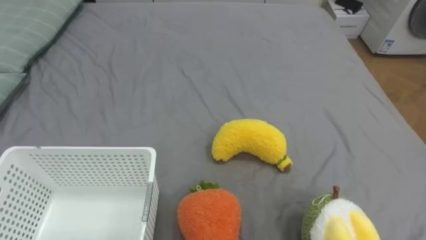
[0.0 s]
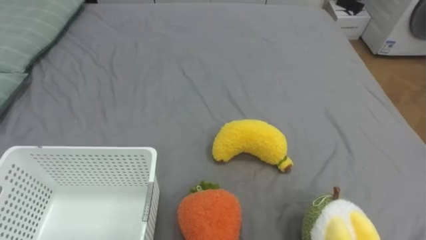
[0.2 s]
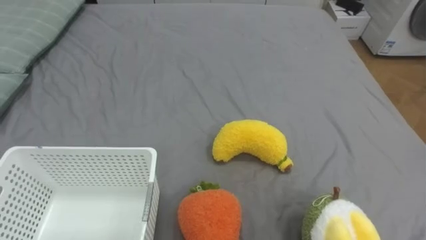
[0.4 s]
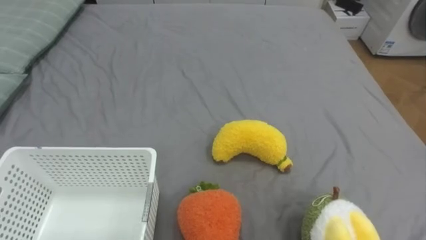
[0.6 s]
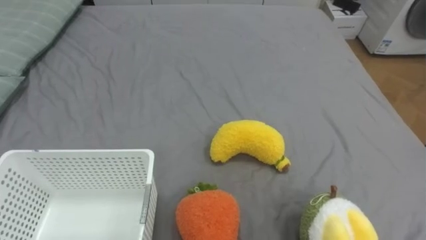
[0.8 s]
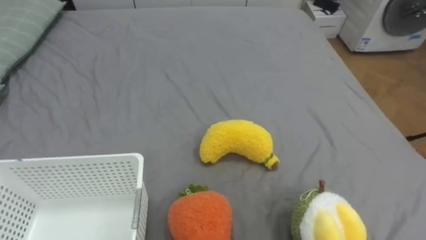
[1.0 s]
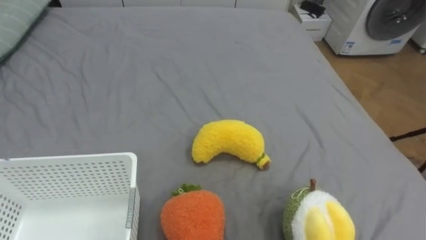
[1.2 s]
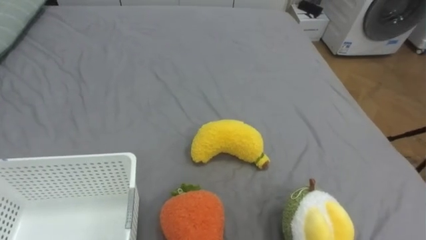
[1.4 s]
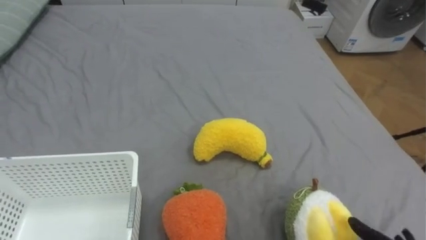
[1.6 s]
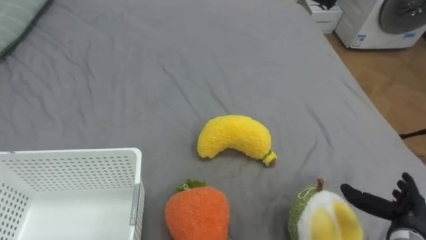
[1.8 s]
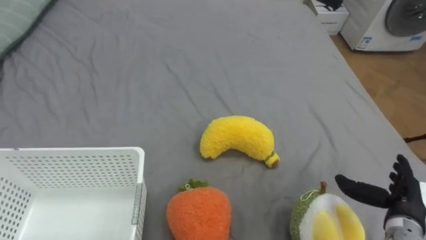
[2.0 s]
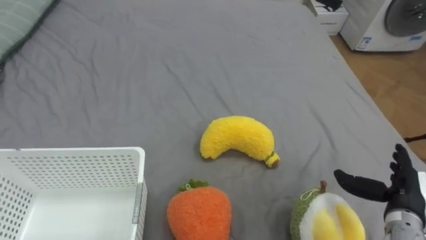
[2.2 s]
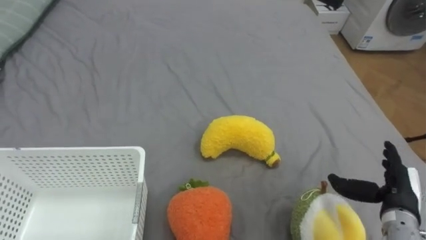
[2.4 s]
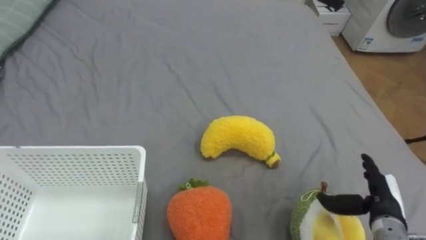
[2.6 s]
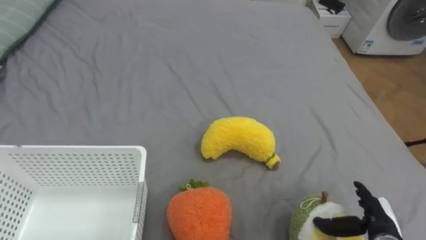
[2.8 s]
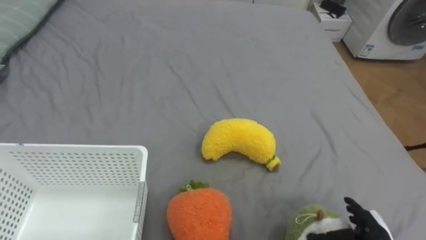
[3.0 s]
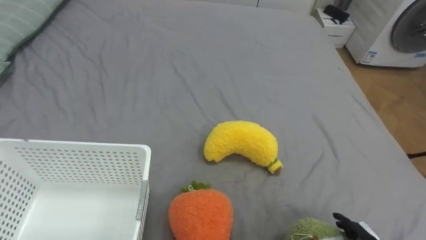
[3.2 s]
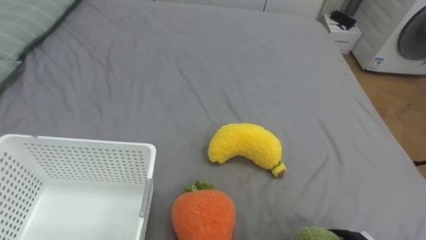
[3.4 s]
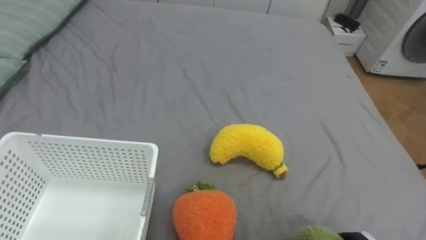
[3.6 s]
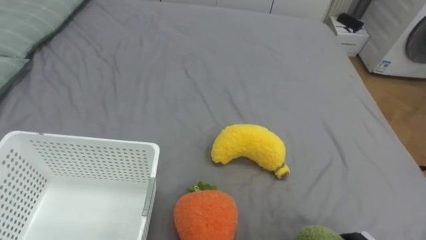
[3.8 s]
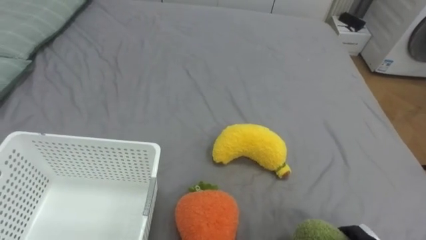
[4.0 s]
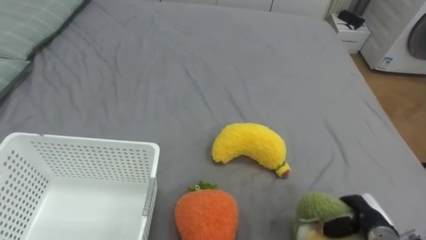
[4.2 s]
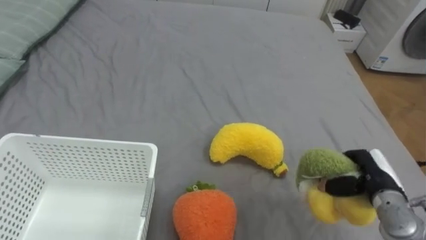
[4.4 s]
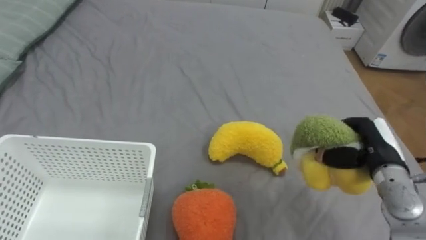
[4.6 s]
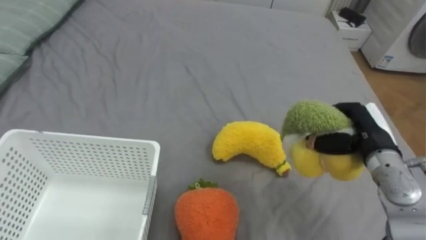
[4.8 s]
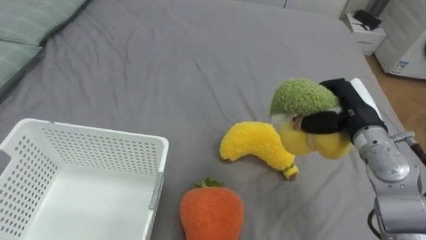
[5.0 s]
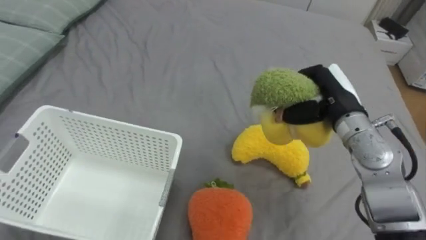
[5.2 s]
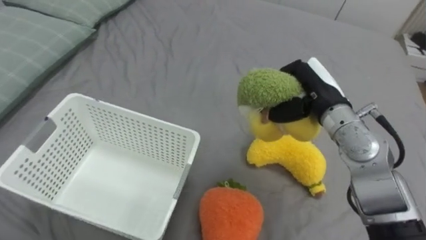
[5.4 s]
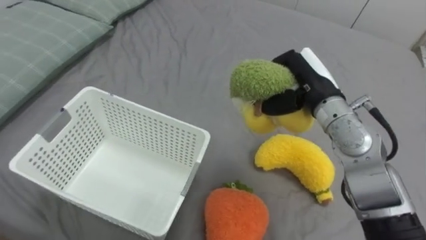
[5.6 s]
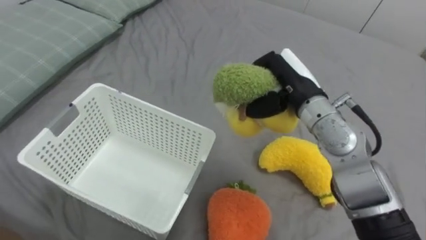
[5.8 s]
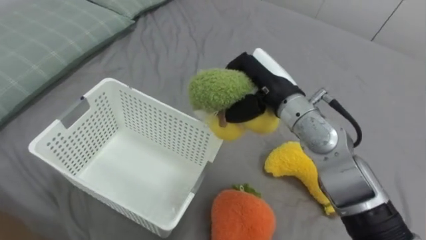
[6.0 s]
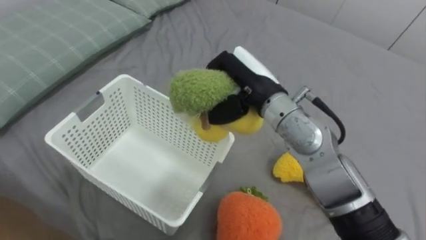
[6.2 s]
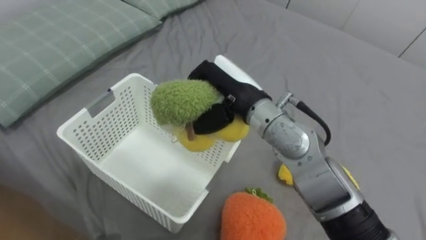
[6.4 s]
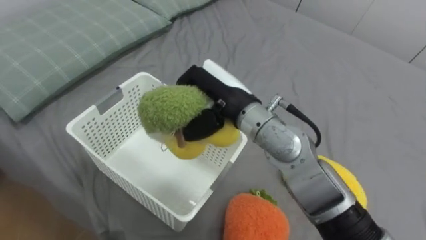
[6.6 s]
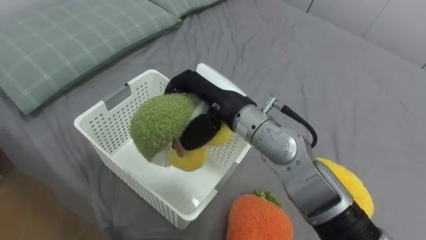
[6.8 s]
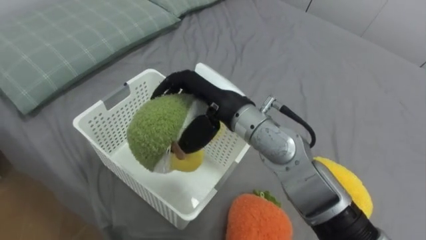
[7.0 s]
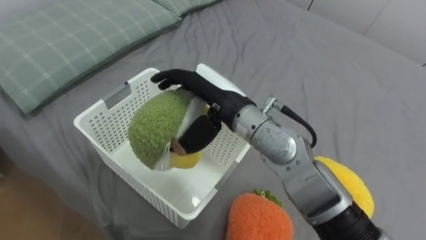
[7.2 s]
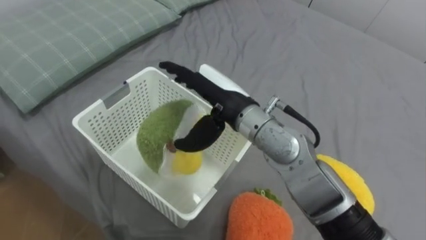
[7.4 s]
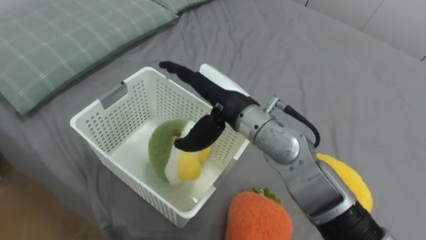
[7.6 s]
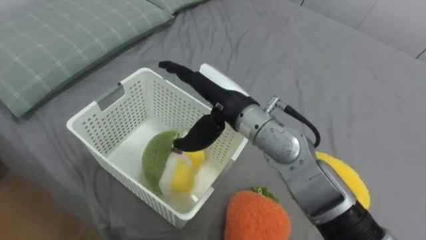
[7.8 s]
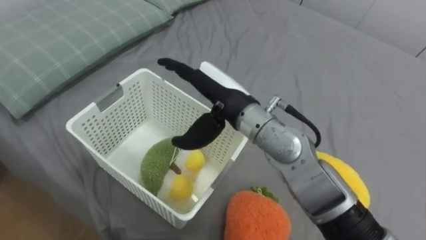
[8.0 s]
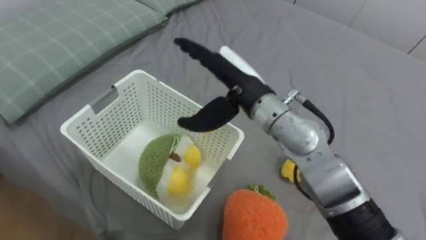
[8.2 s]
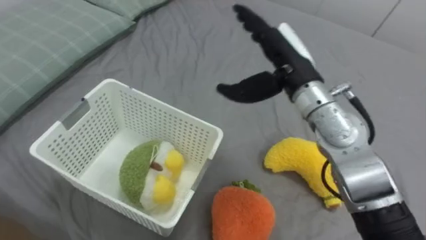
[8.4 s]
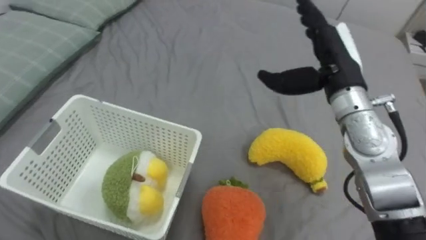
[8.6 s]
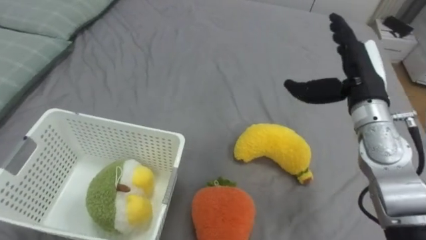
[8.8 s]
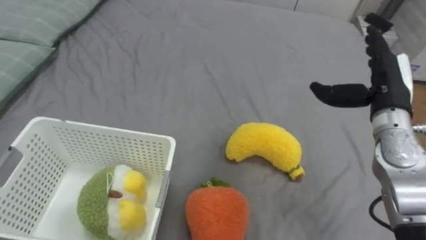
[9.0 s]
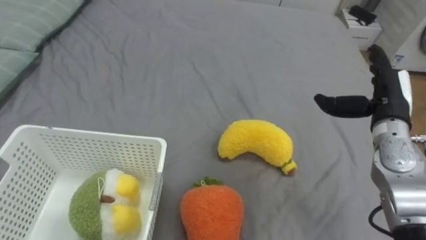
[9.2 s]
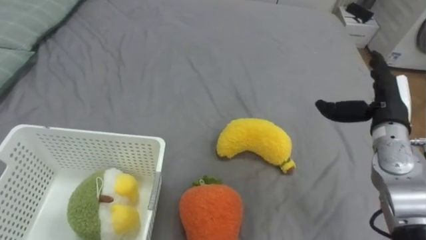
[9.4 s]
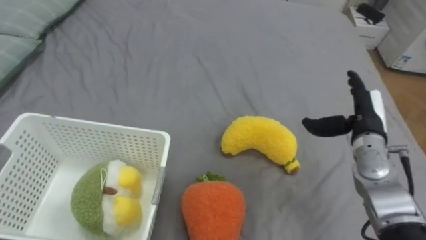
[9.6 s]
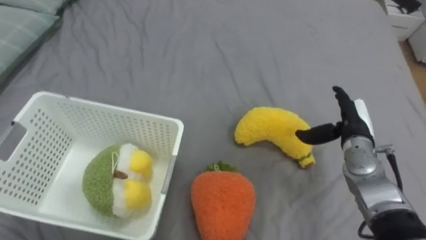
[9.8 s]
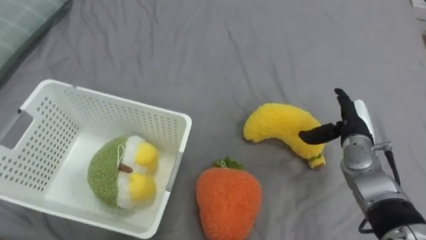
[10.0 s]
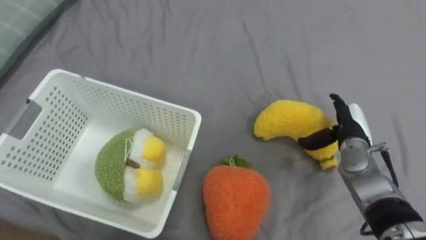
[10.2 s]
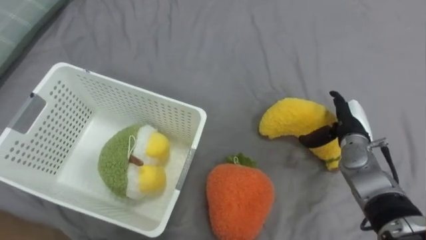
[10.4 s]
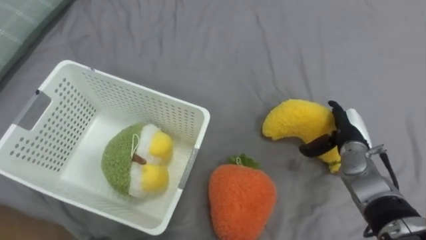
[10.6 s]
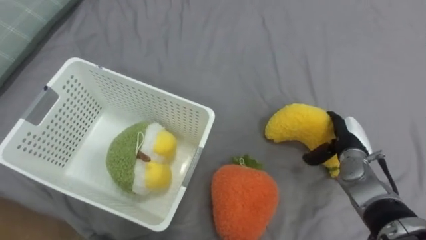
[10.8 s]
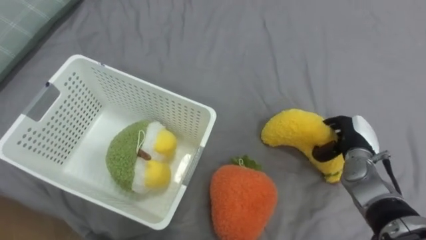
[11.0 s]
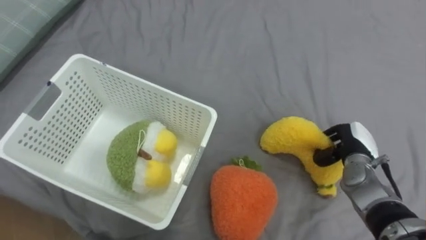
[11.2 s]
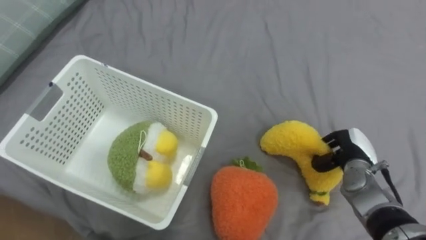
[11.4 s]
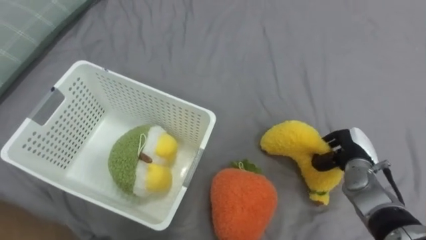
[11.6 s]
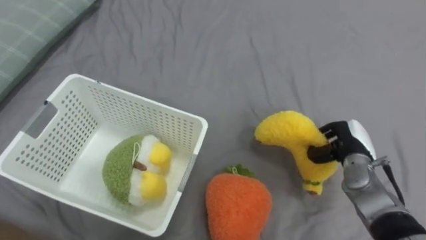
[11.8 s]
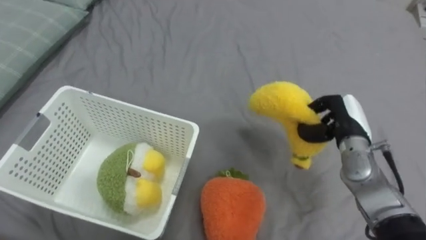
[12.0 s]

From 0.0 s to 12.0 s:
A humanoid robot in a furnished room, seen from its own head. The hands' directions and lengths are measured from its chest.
Task of the whole recording: Put the toys on the bed into the basket on the left.
From 4.4 s to 6.0 s: The right hand goes roughly 30 cm to the left, upward and forward.
From 6.0 s to 7.6 s: The right hand travels to the left by about 10 cm, and opens up.
From 7.6 s to 9.0 s: The right hand heads to the right, covering about 25 cm.
From 9.0 s to 10.4 s: The right hand goes about 15 cm downward.
From 10.4 s to 12.0 s: The right hand closes its fingers.

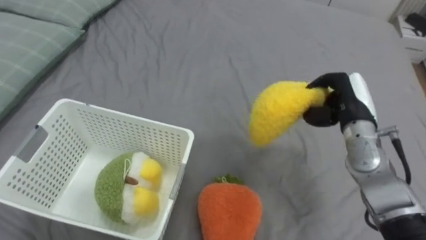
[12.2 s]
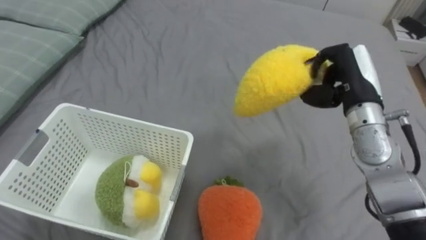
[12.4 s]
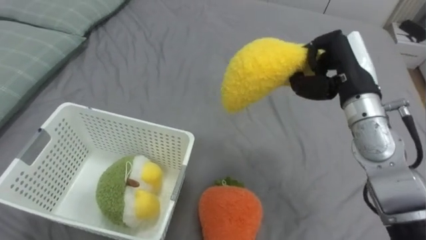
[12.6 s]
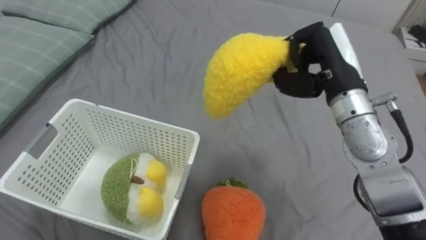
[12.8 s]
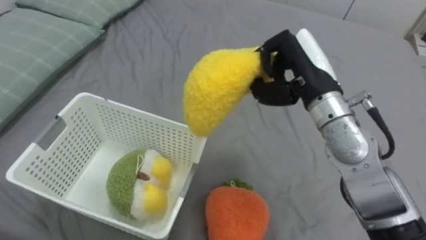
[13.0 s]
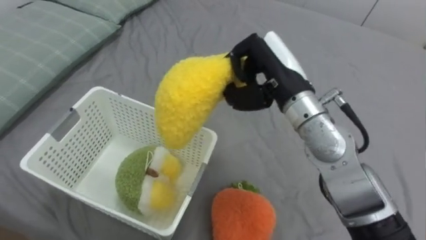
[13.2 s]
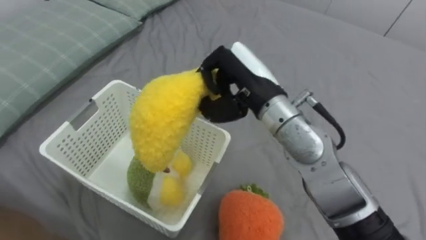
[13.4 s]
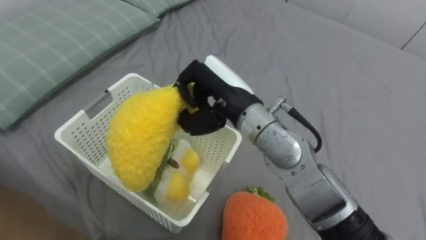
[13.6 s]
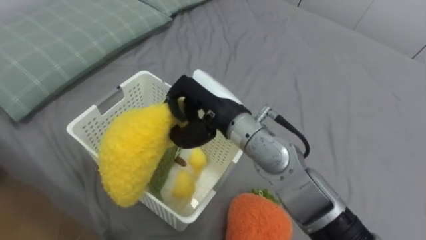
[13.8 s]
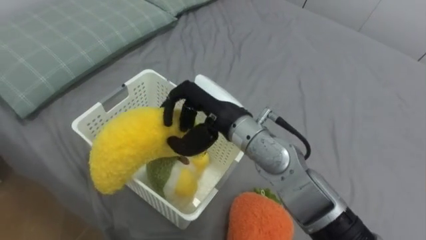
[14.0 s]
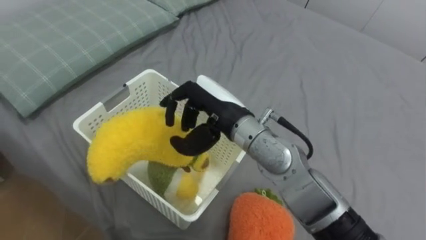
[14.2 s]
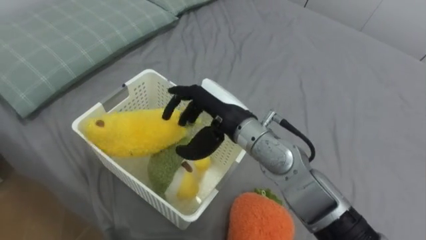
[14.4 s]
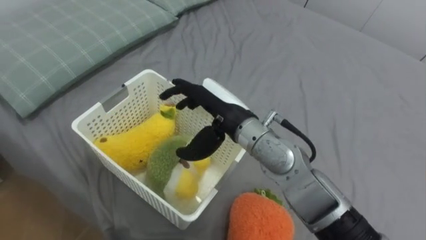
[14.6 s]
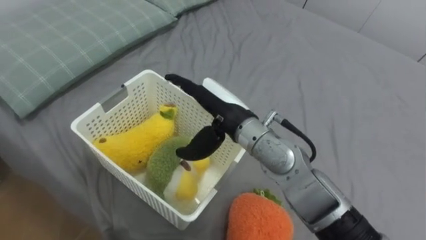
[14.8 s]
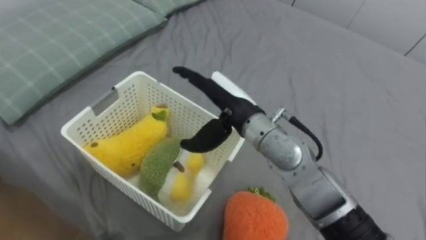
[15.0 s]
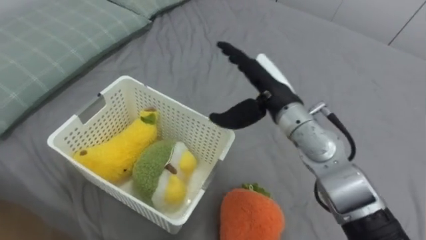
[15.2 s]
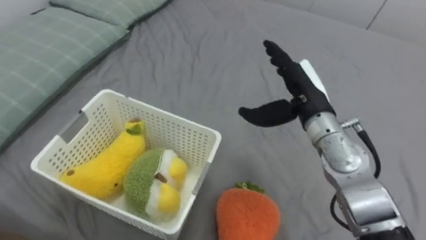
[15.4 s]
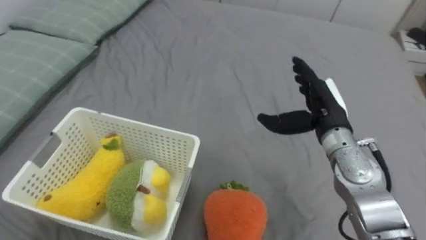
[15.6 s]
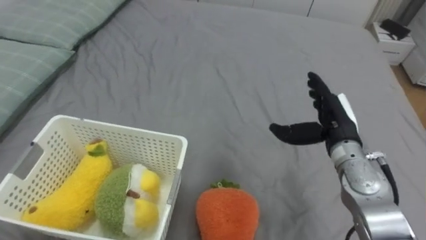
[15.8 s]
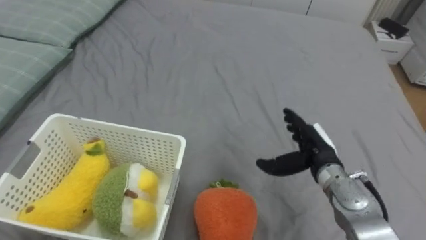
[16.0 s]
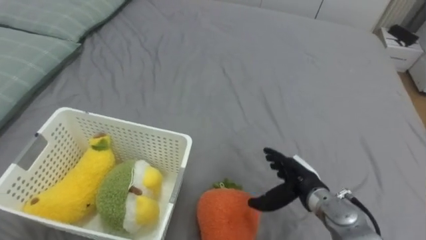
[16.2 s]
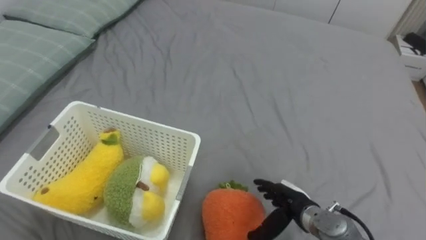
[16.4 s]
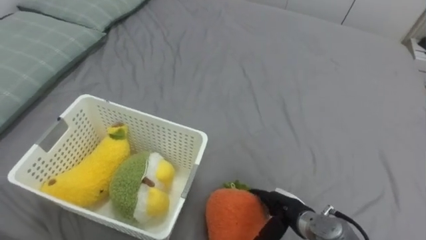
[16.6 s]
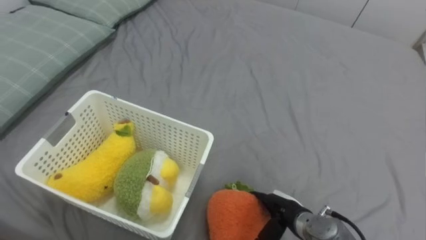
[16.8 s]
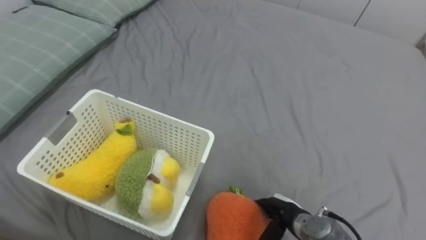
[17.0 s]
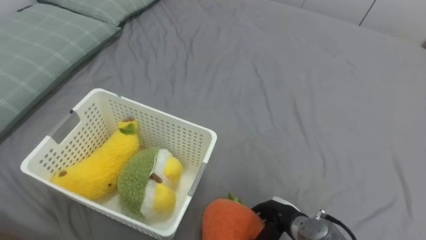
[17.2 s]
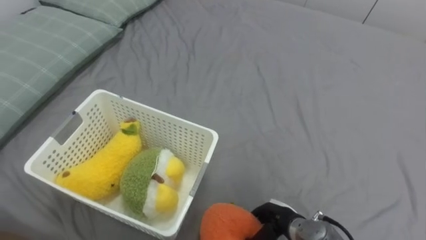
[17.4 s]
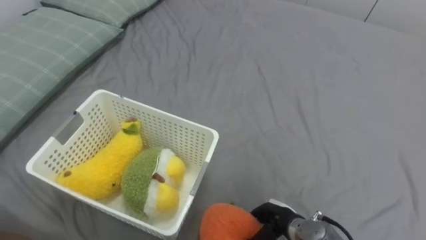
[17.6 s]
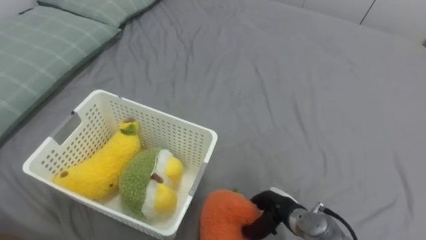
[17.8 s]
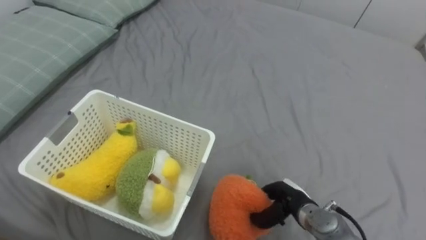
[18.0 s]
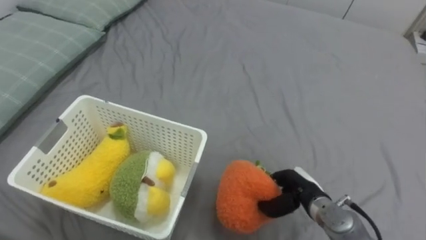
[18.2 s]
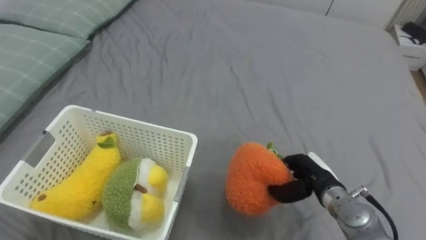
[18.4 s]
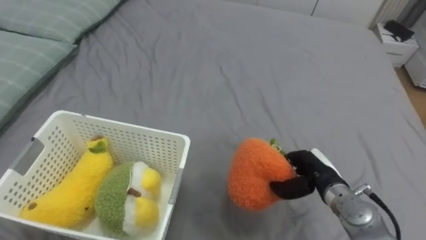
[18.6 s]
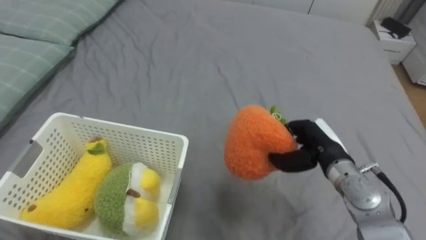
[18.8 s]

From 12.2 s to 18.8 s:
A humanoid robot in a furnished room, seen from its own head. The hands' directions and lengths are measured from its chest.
Task of the whole recording: Put the toys on the bed into the basket on the left.
From 12.2 s to 13.8 s: The right hand goes roughly 25 cm to the left.
From 13.8 s to 15.4 s: The right hand shifts roughly 15 cm to the right, and opens its fingers.
From 15.4 s to 17.2 s: The right hand heads downward and backward, covering approximately 30 cm, and closes its fingers.
From 17.2 s to 18.8 s: The right hand goes roughly 15 cm upward, forward and to the right.
